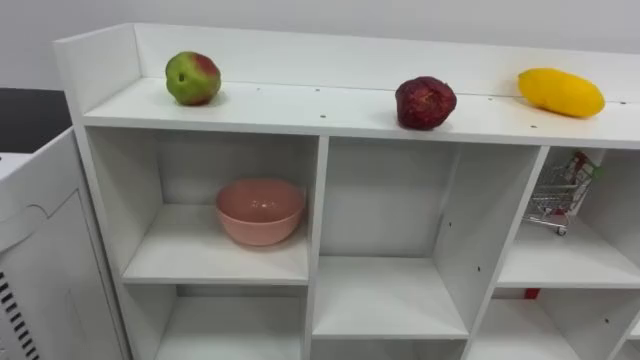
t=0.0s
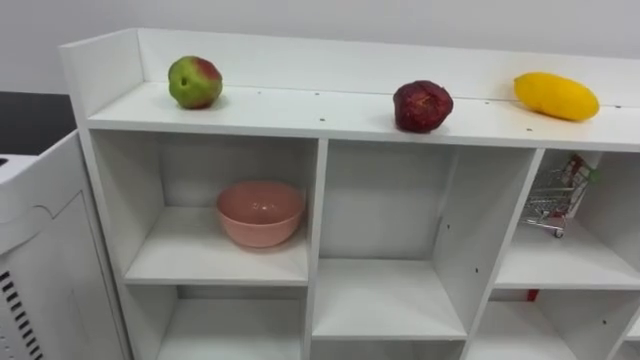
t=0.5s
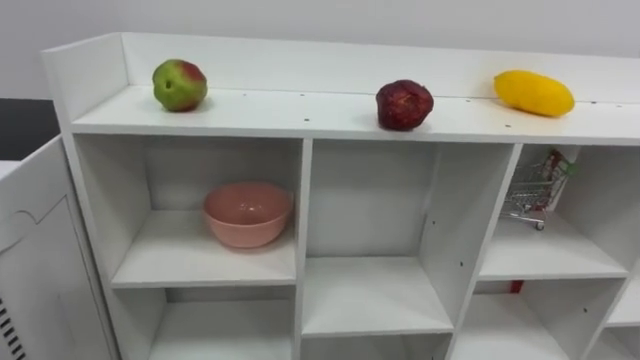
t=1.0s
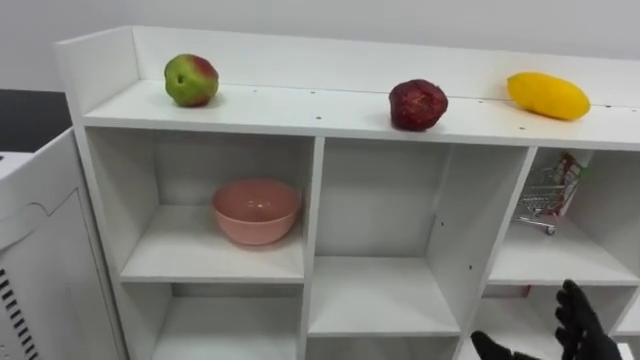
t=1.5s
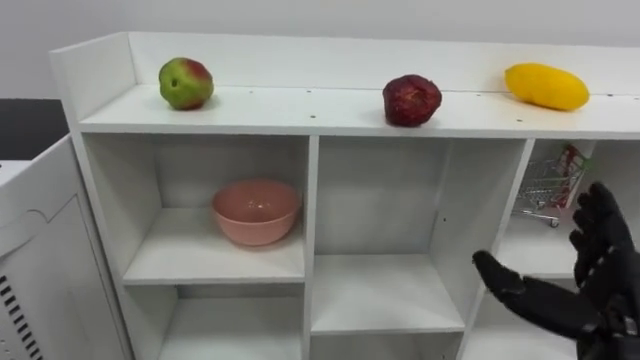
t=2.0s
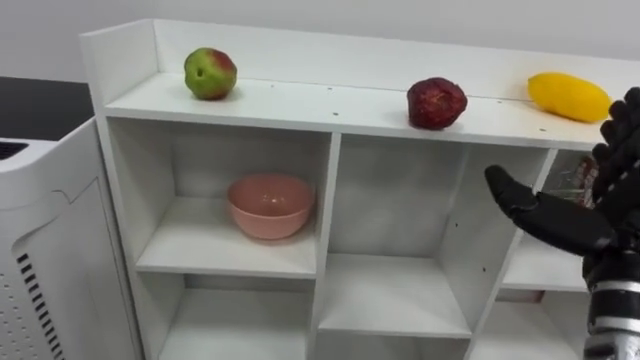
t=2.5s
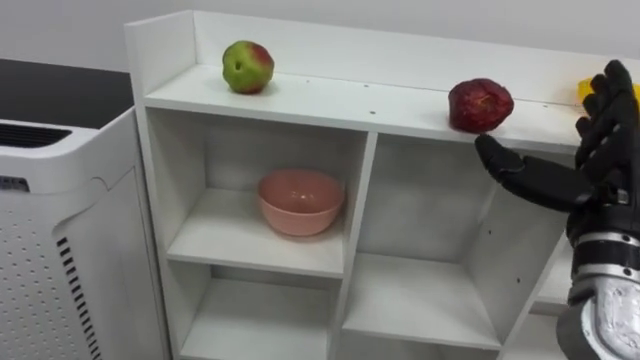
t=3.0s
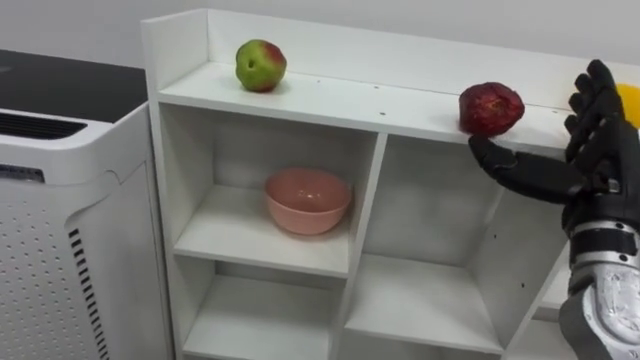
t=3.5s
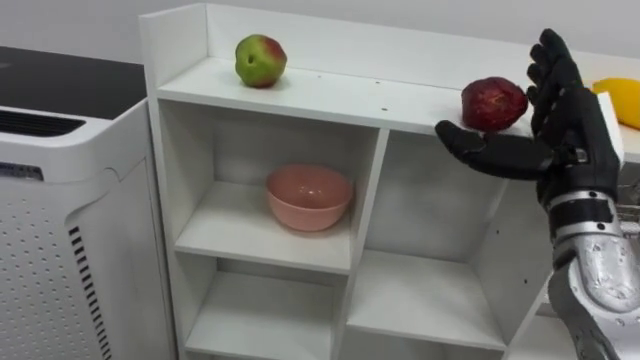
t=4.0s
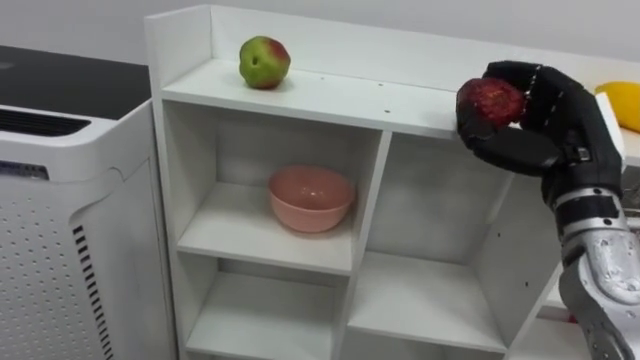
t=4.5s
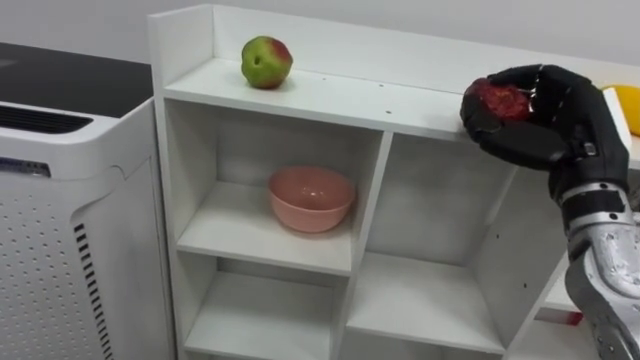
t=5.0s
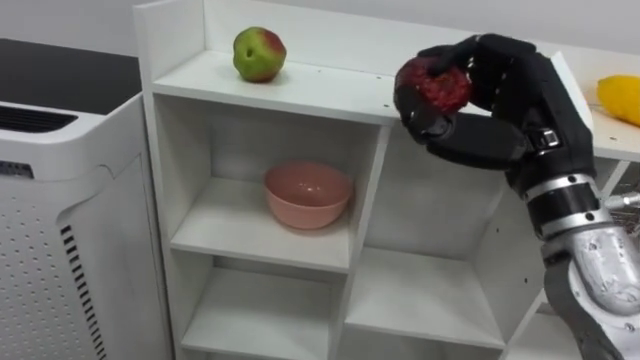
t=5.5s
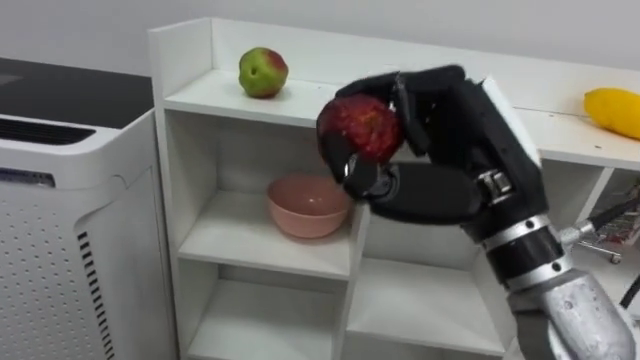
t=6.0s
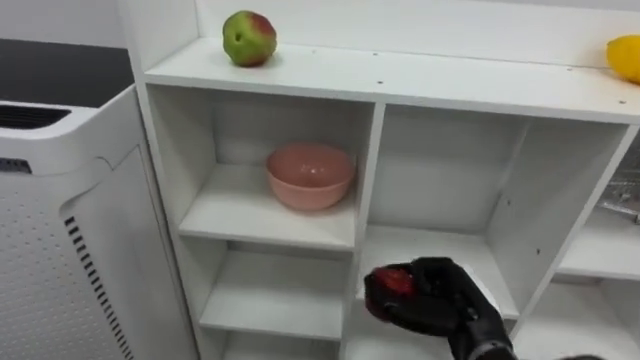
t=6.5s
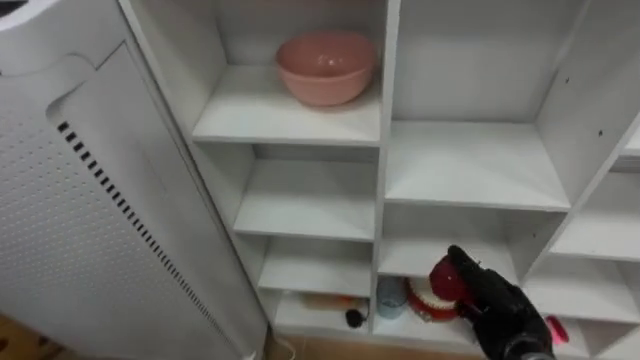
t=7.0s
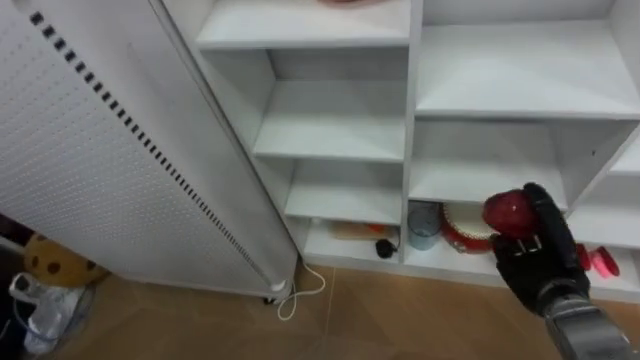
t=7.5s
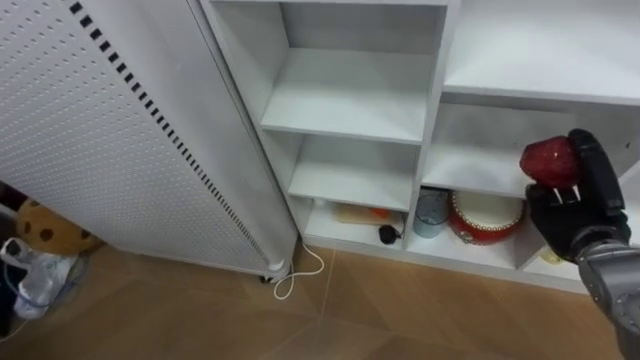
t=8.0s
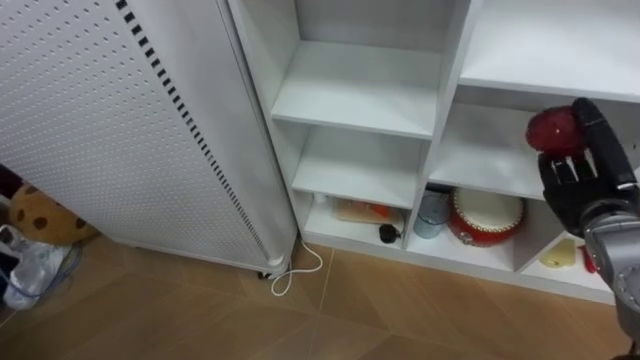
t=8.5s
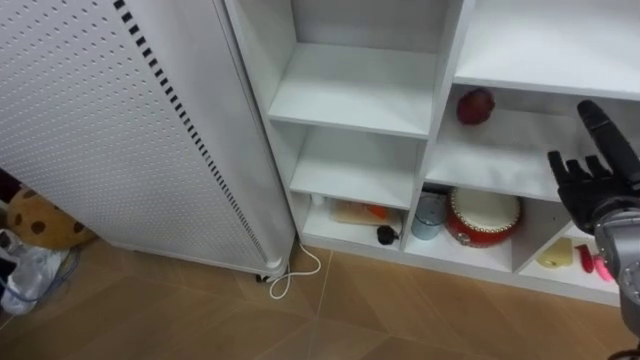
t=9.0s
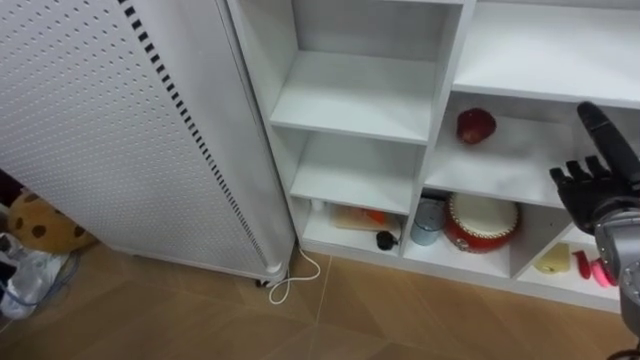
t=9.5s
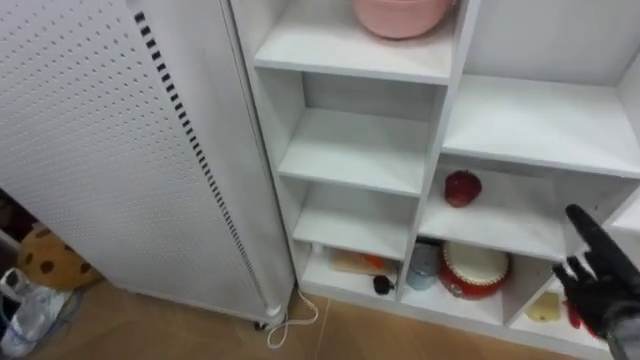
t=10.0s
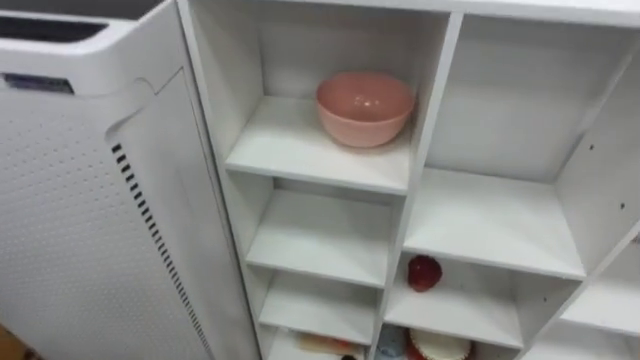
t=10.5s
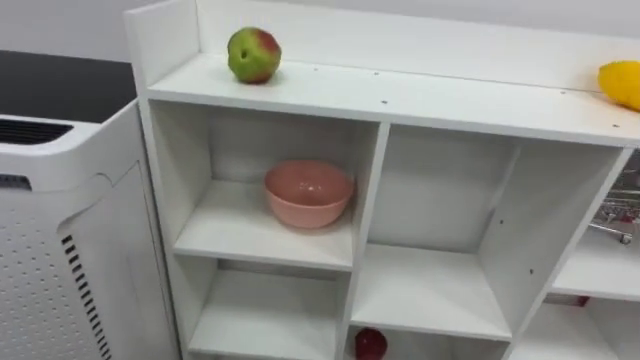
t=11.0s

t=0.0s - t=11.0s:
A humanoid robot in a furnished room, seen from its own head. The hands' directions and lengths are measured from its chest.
Task of the whole recording: Put the apple in the cell in the second column from the left and the second row from the top.
t=2.0s - t=3.5s: The right hand travels upward and forward by roughly 15 cm.
t=3.5s - t=5.5s: The right hand heads to the left and upward, covering roughly 10 cm, and closes.
t=5.5s - t=7.5s: The right hand shifts roughly 25 cm downward.
t=7.5s - t=9.0s: The right hand goes about 10 cm upward and to the right, and opens.

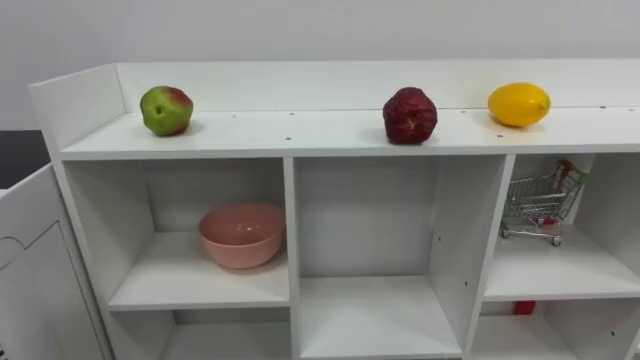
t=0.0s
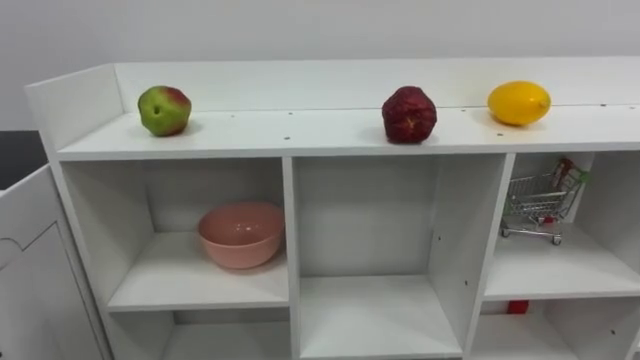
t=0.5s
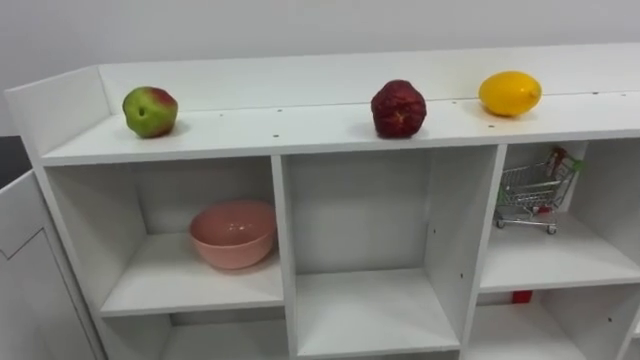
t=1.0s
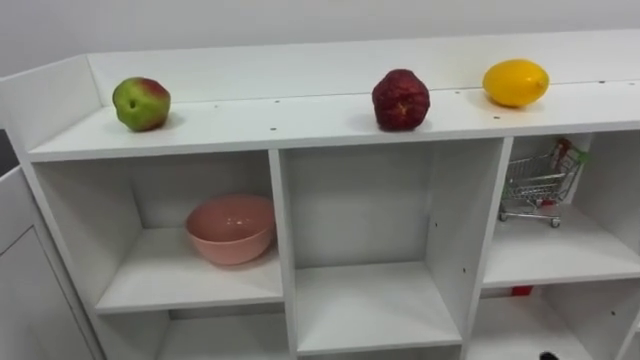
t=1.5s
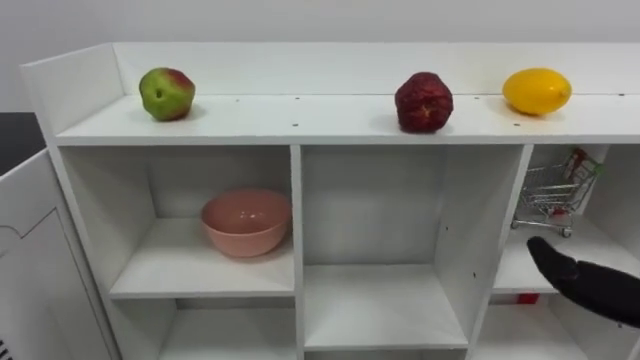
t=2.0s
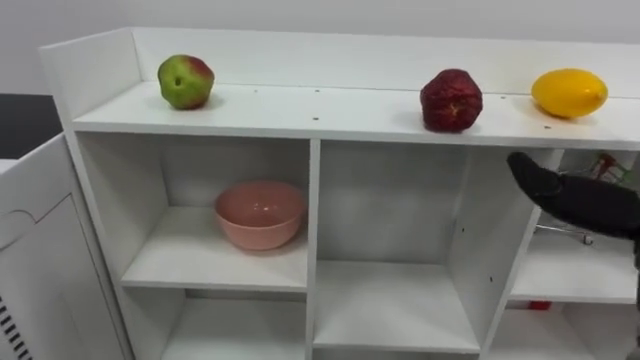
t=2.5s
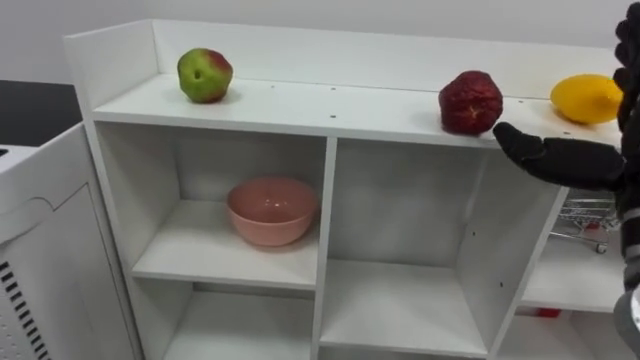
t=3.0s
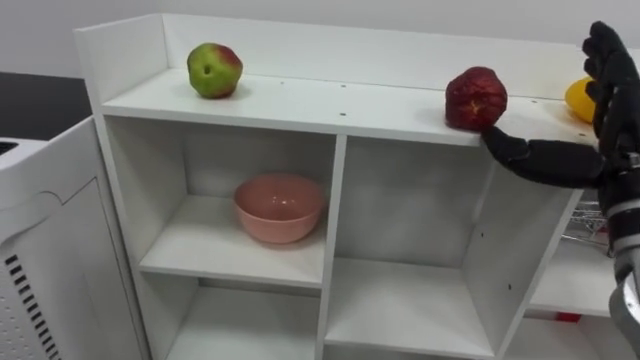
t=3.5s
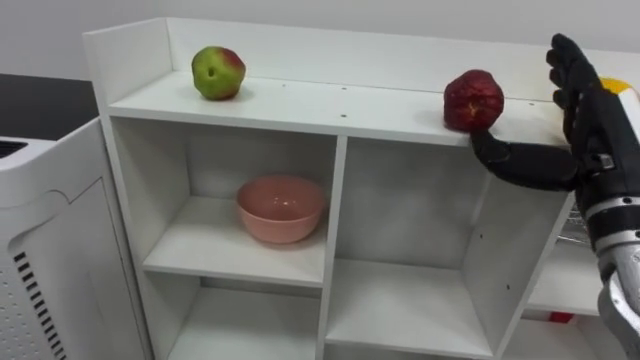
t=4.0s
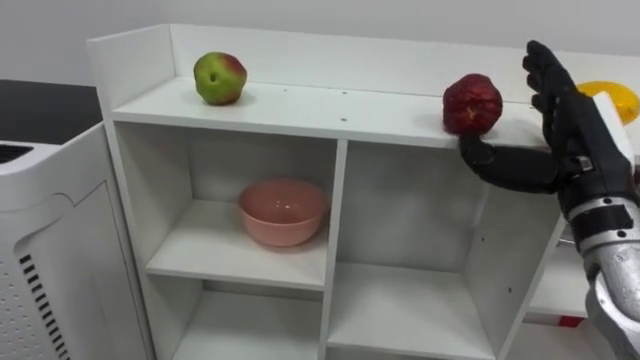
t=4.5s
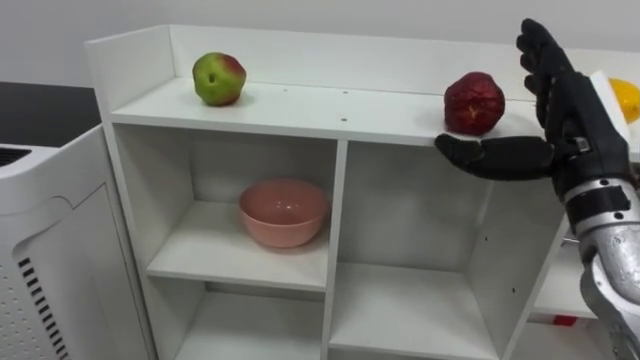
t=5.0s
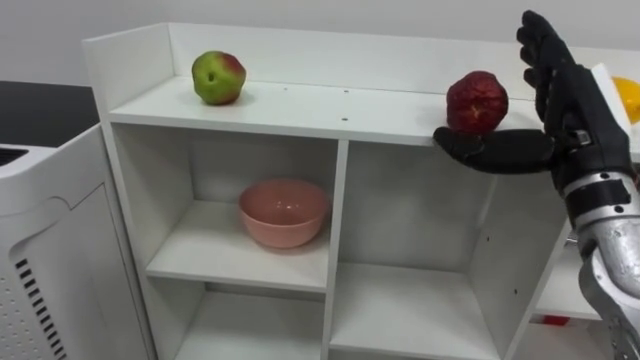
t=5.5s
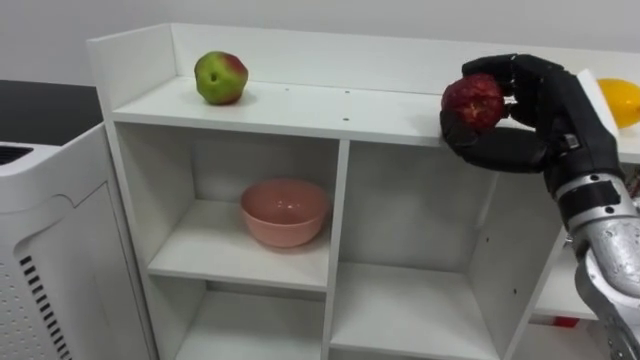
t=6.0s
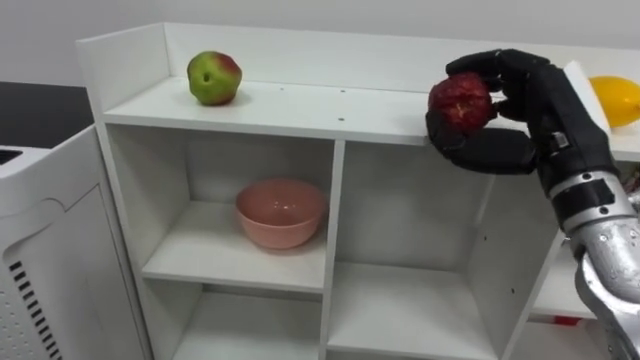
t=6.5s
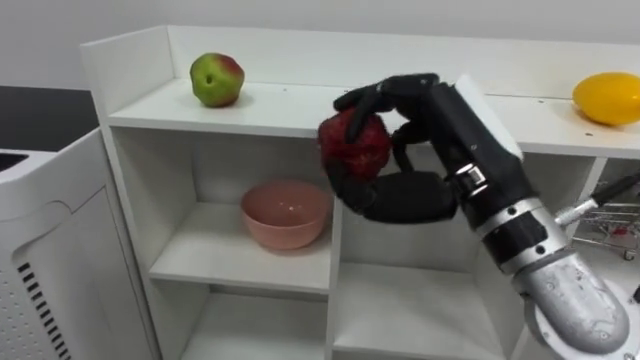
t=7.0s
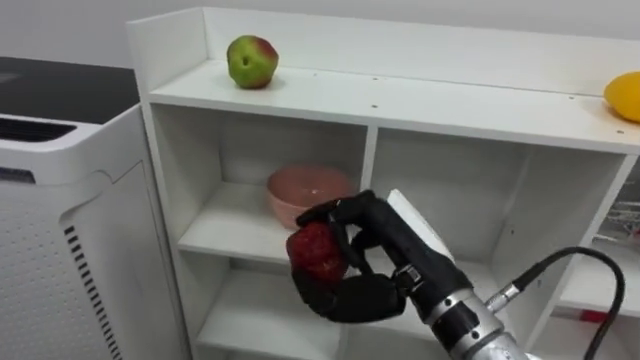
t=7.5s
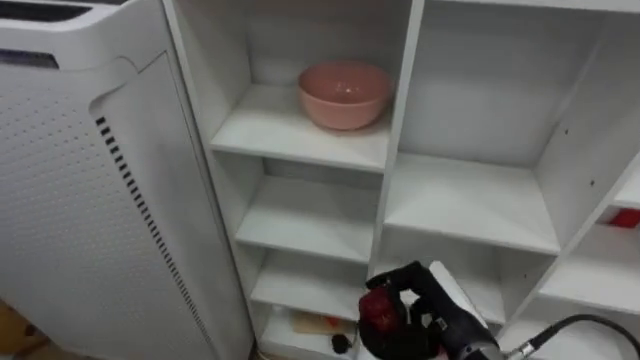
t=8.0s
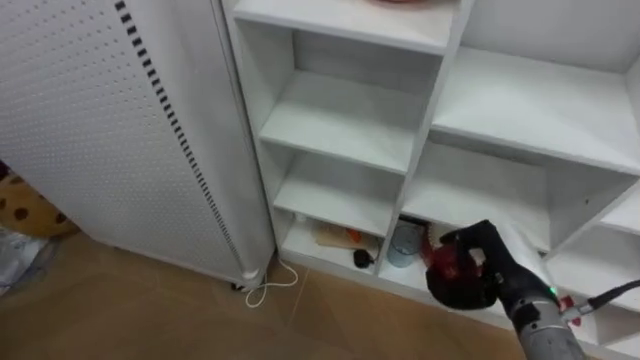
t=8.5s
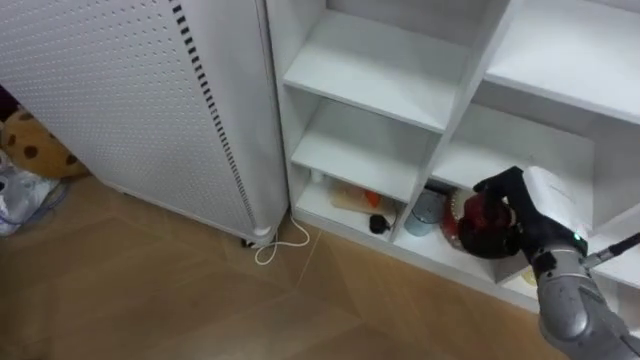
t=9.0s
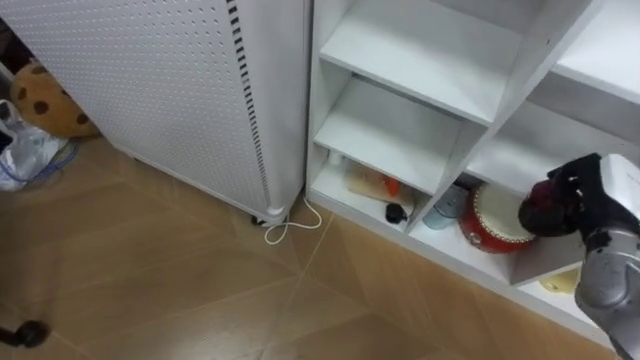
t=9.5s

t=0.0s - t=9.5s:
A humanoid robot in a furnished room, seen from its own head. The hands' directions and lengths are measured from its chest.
Task of the whole recording: Put the apple in the cell in the second column from the left and the second row from the top.
t=5.5s - t=7.5s: The right hand shifts approximately 20 cm to the left and downward, and closes.
t=7.5s - t=9.5s: The right hand goes roughly 25 cm to the right and forward.
